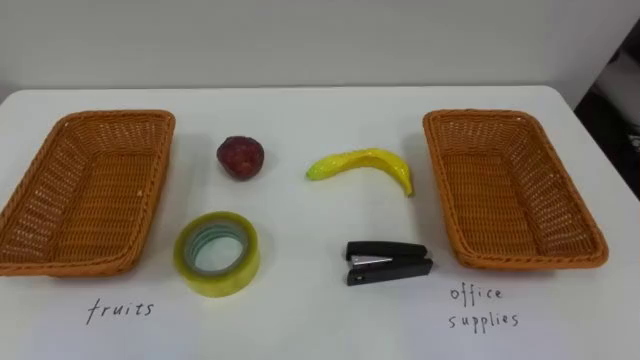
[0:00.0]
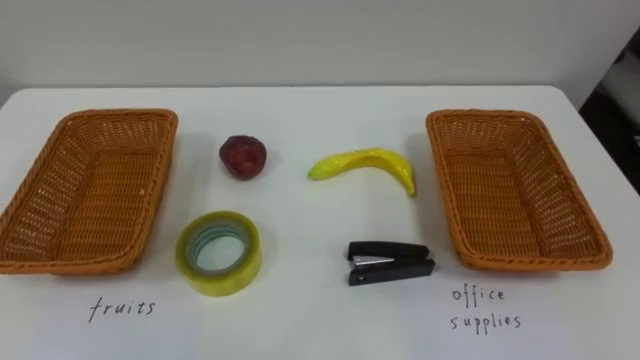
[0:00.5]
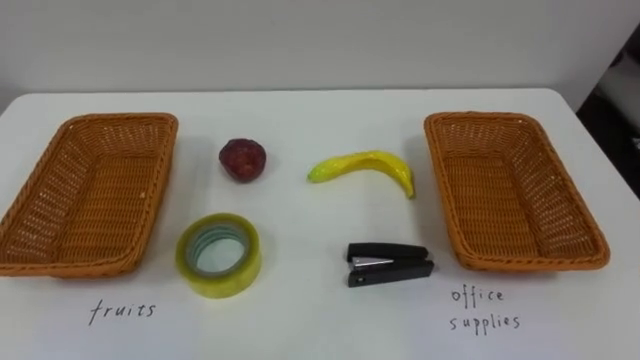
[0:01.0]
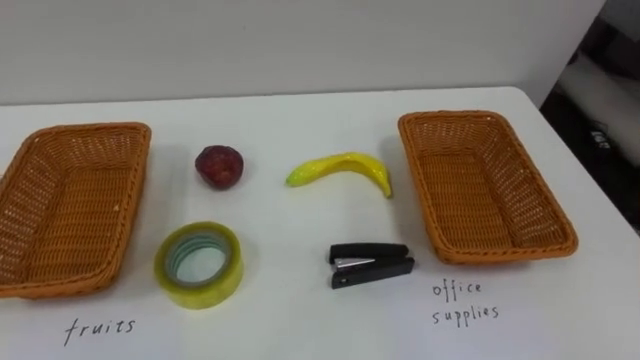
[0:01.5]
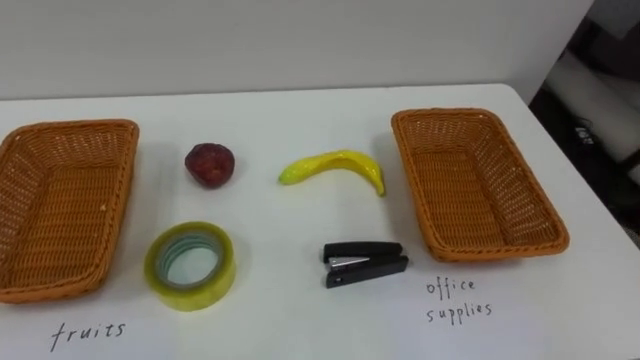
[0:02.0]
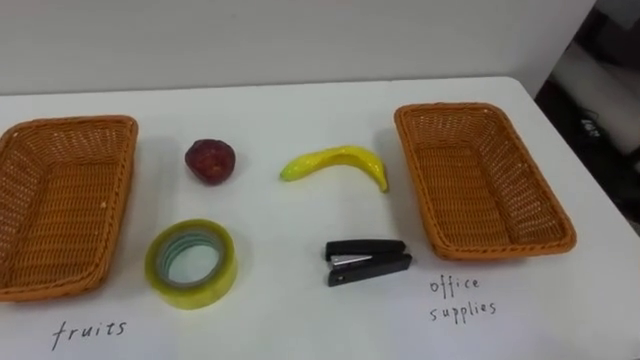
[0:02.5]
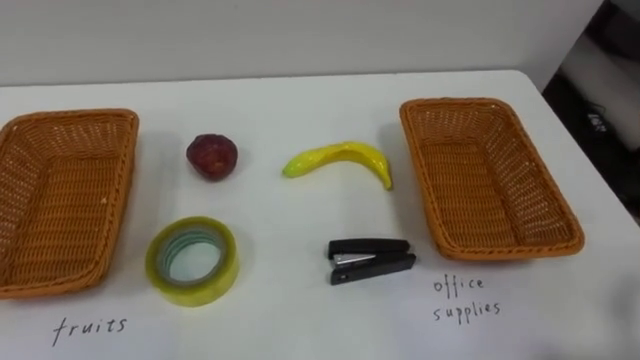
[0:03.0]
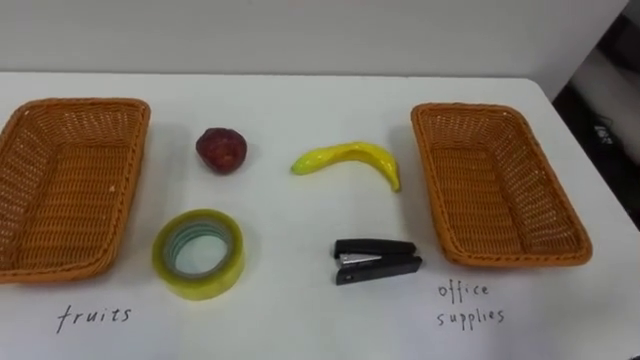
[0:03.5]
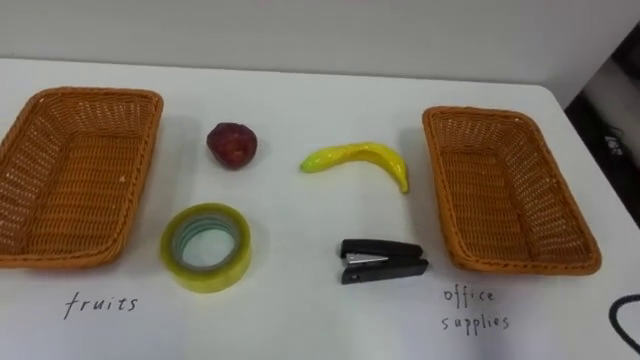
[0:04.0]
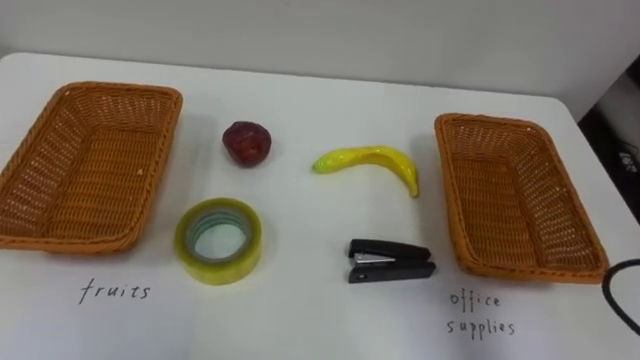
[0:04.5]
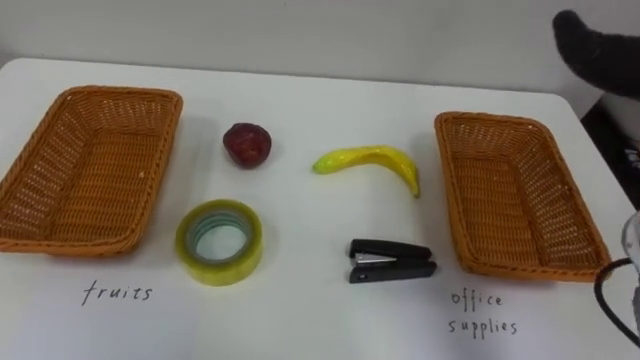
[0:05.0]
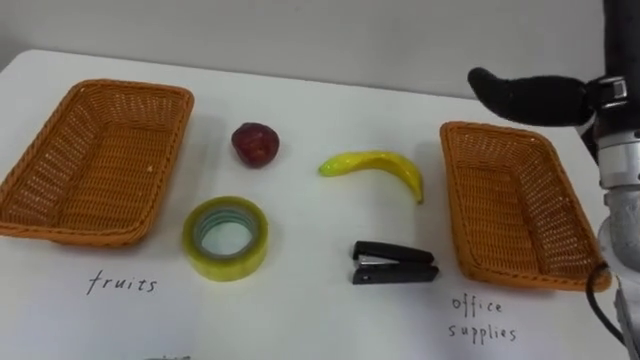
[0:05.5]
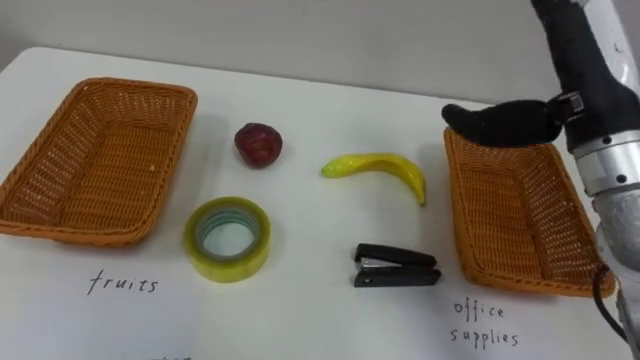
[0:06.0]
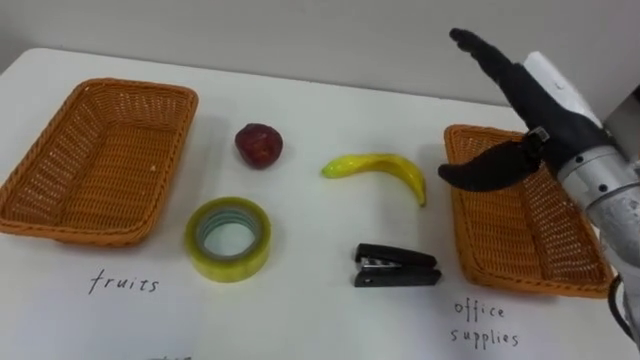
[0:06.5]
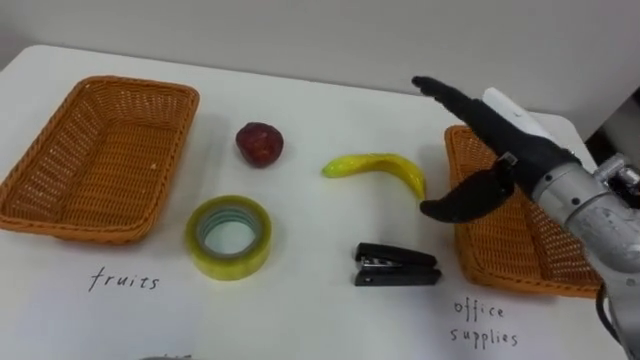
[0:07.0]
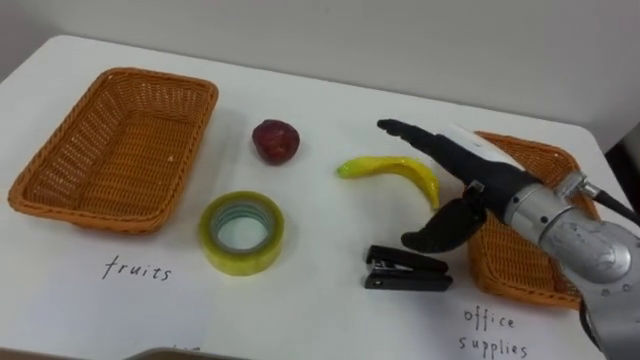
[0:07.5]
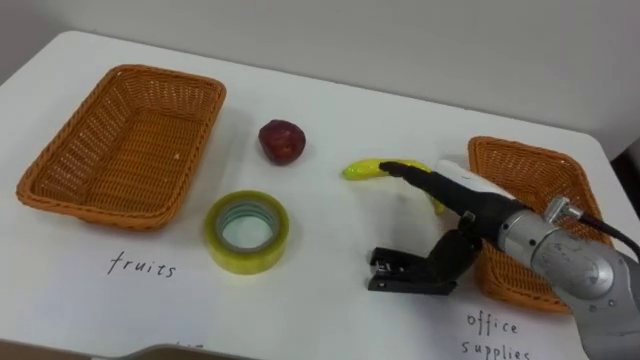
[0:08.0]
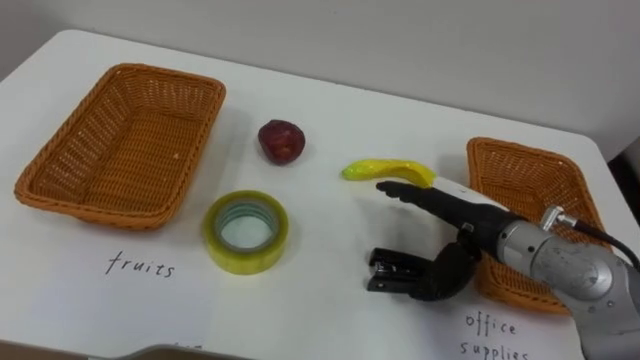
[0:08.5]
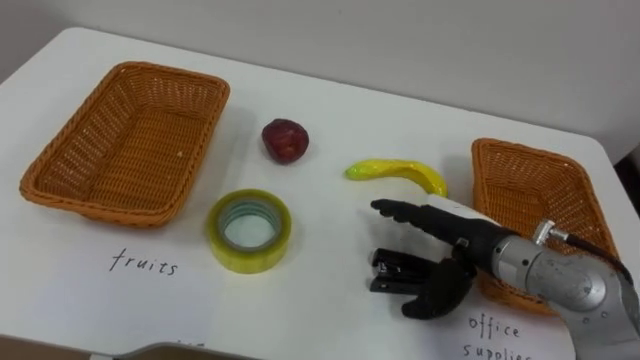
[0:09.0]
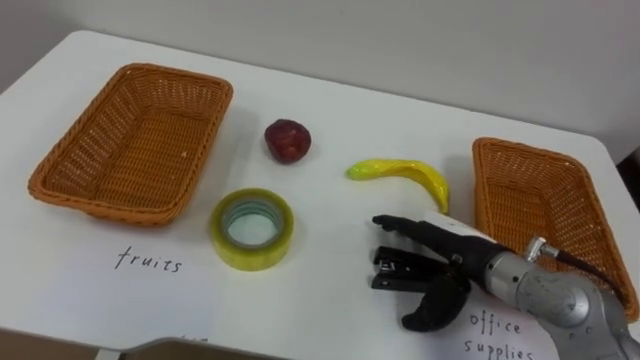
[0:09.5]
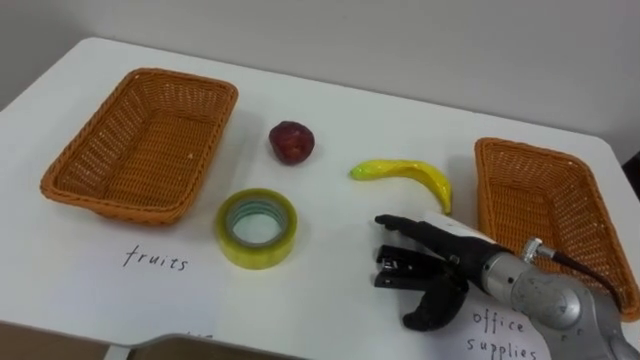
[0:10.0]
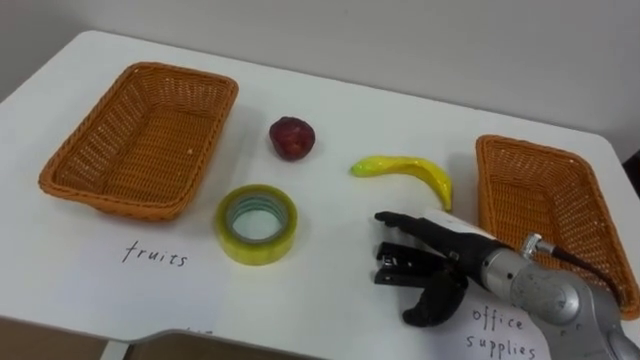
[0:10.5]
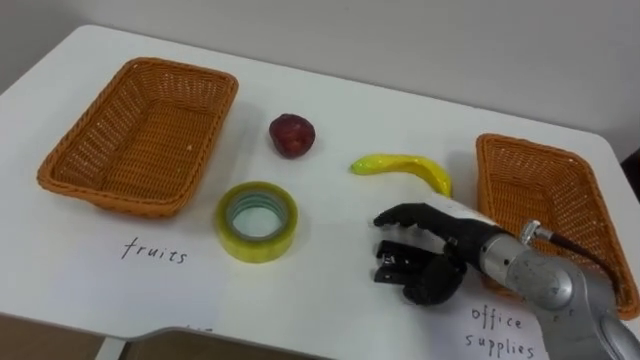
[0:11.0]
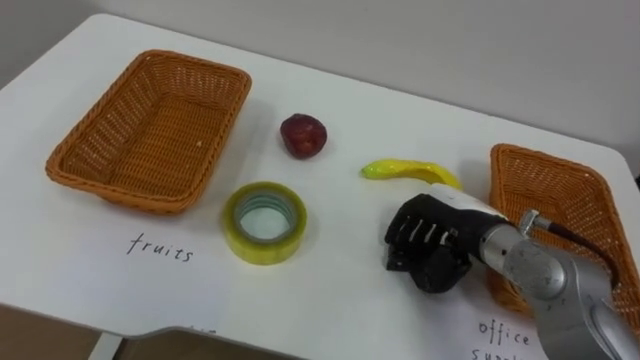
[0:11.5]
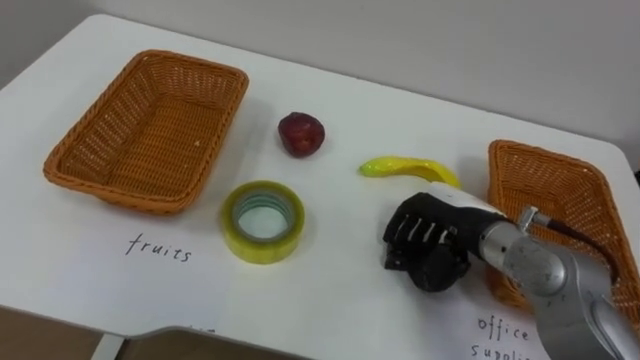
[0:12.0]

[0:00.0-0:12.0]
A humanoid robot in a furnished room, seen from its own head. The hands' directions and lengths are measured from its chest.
Task of the whole recording: Separate the items on the table and place them into the two baskets.
0:06.0 to 0:08.0: The right hand heads downward, covering roughly 15 cm.
0:08.0 to 0:10.0: The right hand moves downward, roughly 5 cm.
0:10.0 to 0:12.0: The right hand closes up.

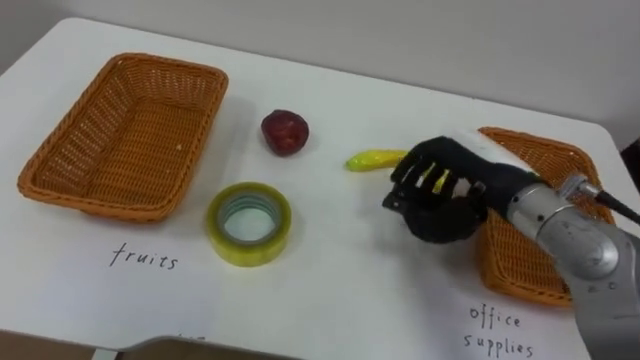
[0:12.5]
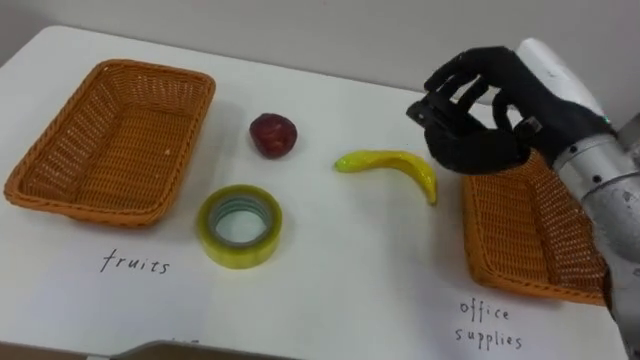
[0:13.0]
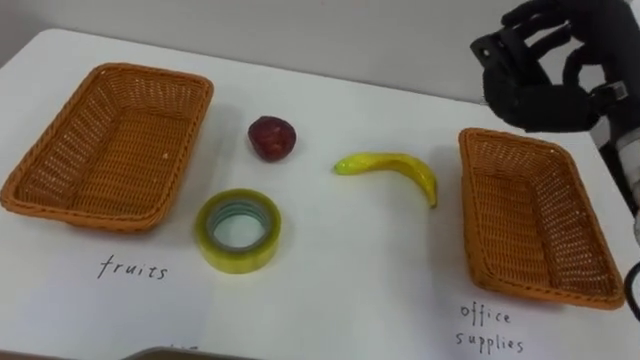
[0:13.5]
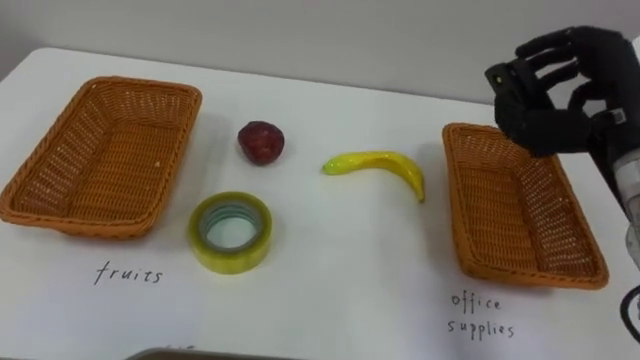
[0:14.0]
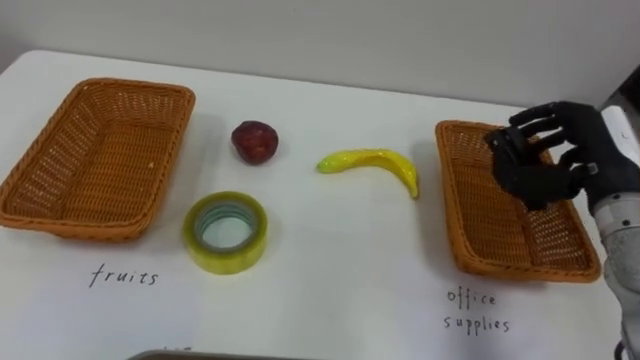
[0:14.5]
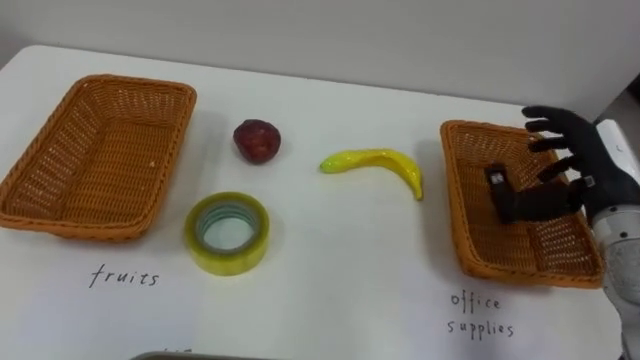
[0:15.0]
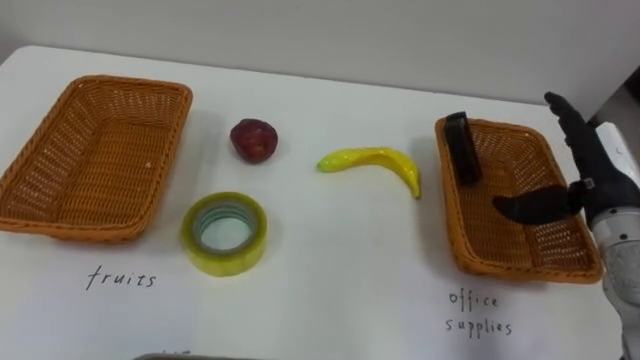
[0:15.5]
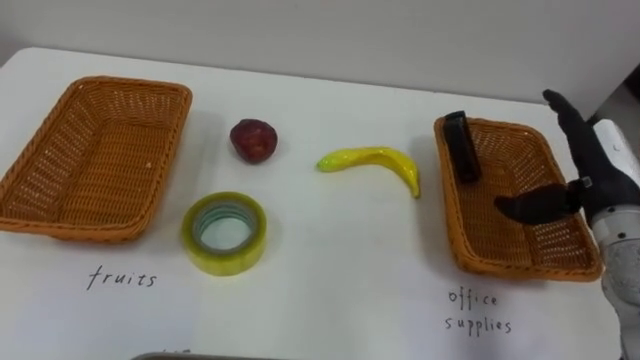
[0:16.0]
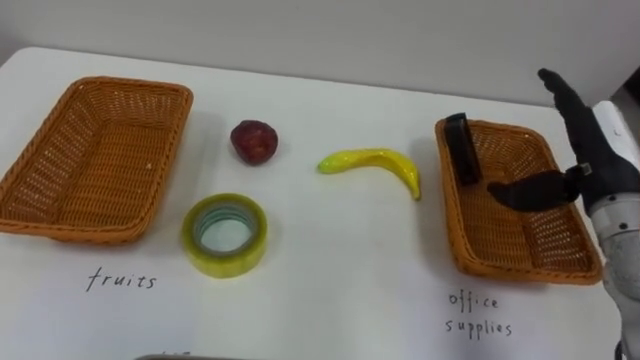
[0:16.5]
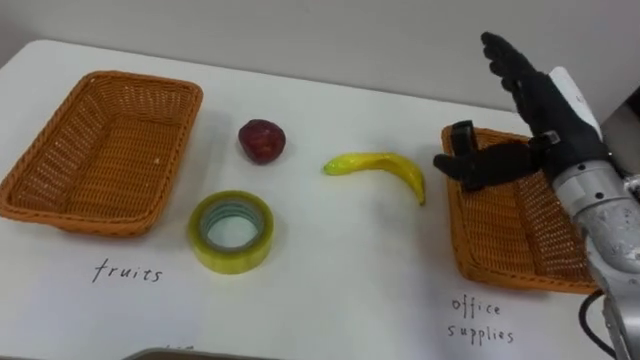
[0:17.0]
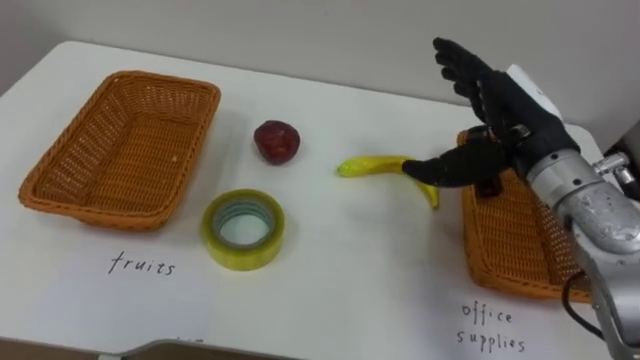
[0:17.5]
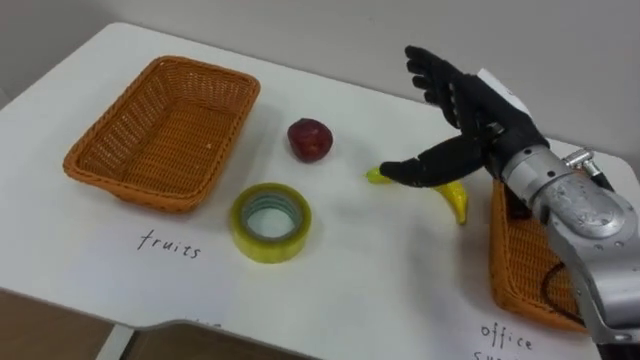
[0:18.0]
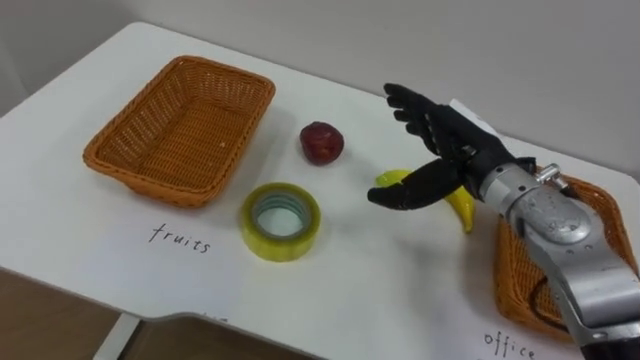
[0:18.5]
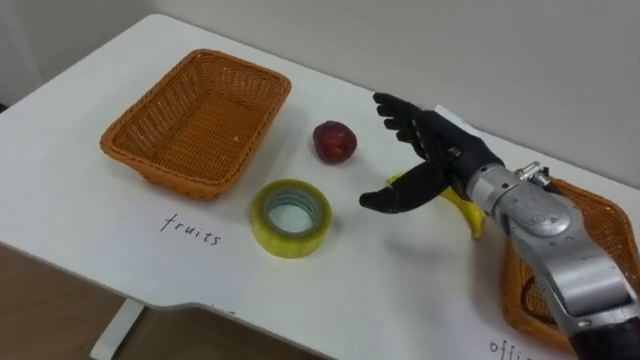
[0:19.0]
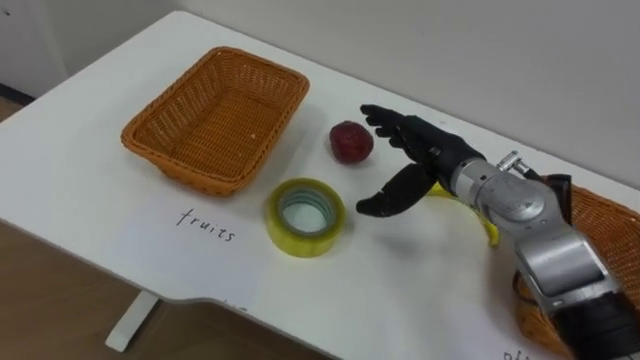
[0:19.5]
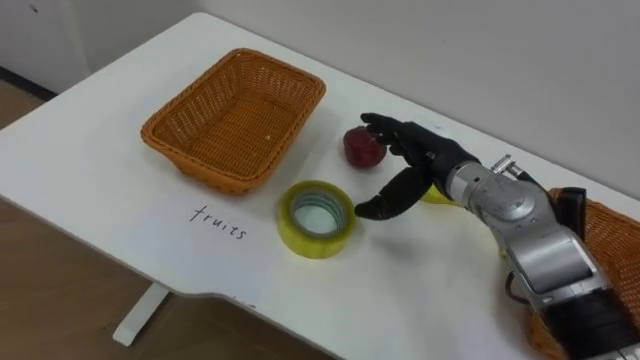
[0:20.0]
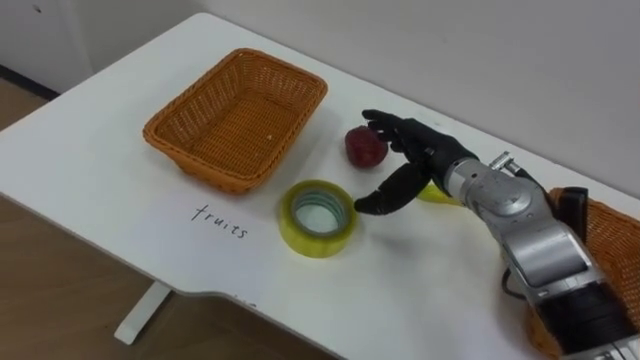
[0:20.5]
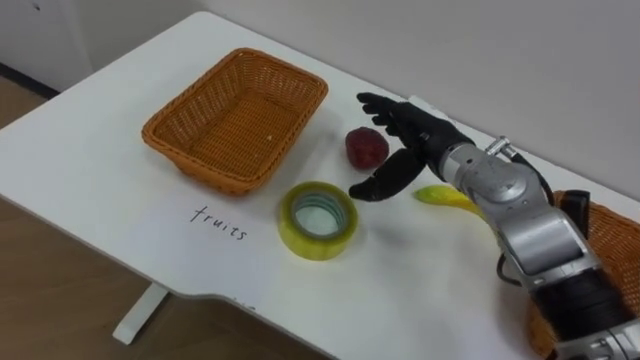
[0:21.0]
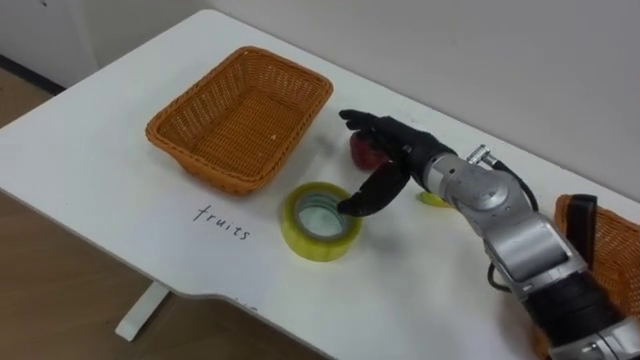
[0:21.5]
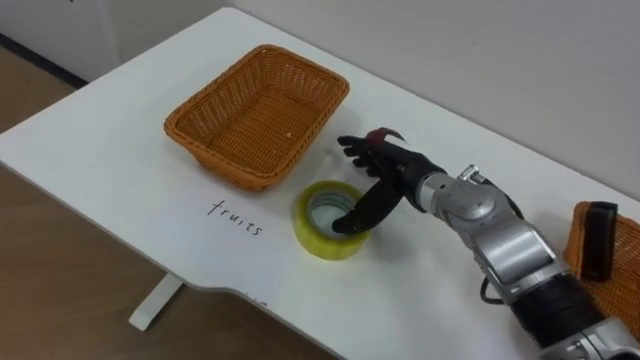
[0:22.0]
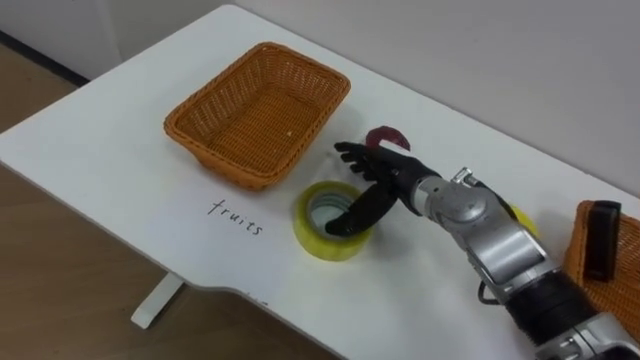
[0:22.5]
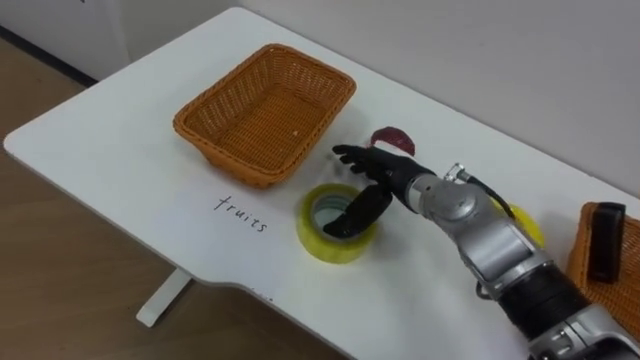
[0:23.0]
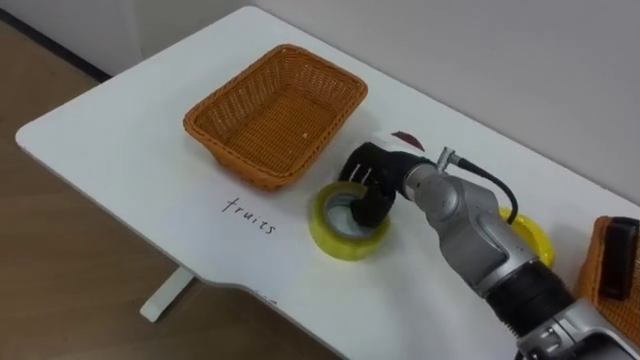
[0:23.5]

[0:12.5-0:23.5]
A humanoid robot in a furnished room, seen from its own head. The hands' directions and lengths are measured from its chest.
Task of the whole recording: Separate the items on the table and place them into the two baskets.
0:12.5 to 0:14.5: The right hand travels to the right by roughly 10 cm, and goes upward and returns, approximately 15 cm each way.
0:14.5 to 0:16.0: The right hand opens.
0:16.0 to 0:18.0: The right hand heads to the left, covering some 15 cm.
0:18.0 to 0:20.0: The right hand heads downward, covering some 5 cm.
0:21.5 to 0:23.5: The right hand closes up.
